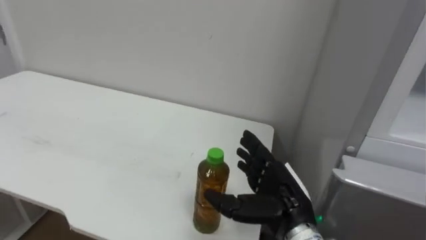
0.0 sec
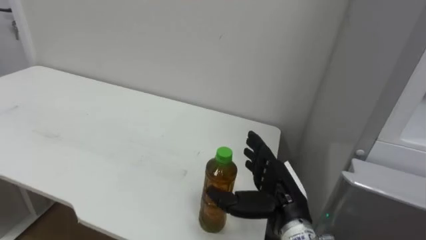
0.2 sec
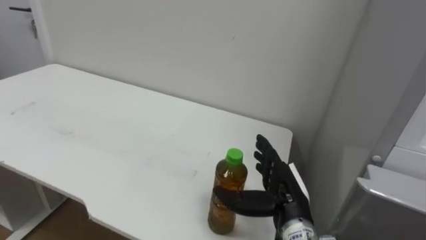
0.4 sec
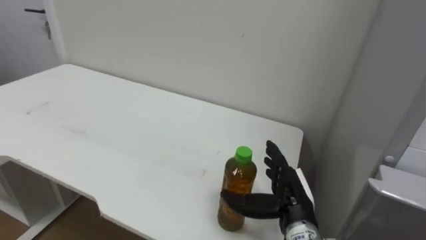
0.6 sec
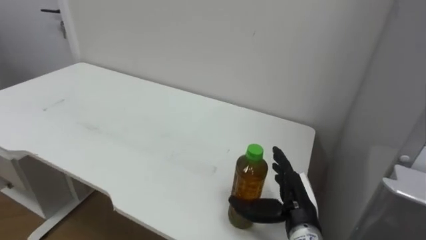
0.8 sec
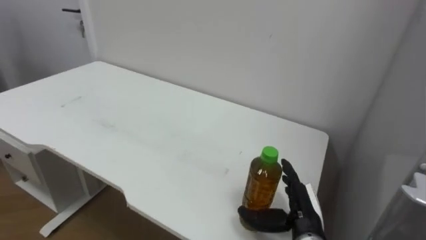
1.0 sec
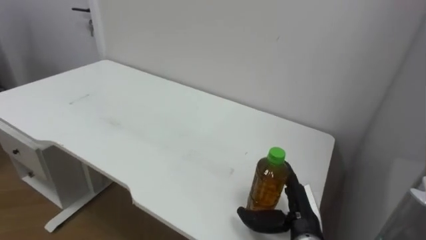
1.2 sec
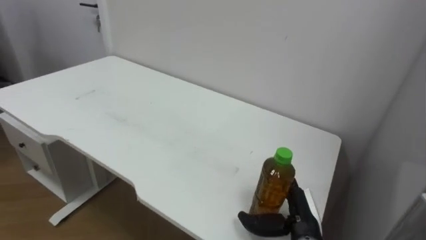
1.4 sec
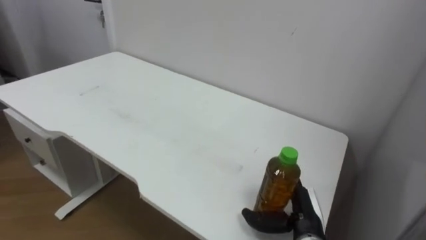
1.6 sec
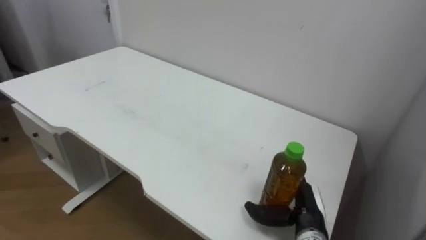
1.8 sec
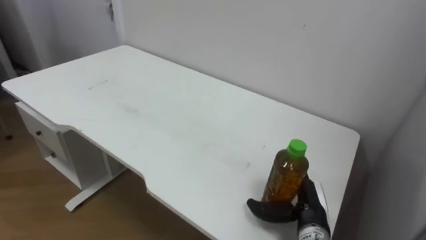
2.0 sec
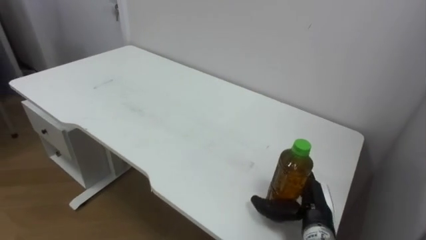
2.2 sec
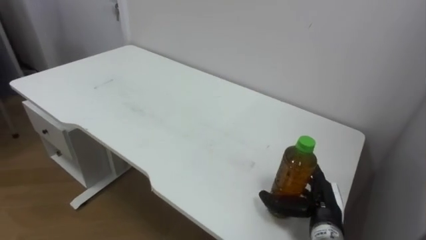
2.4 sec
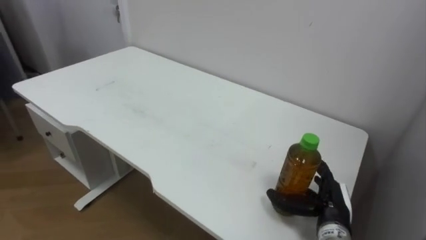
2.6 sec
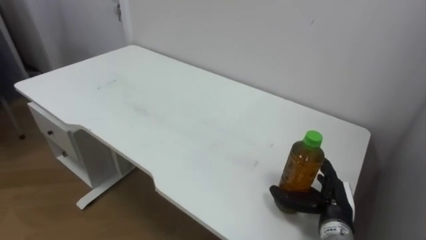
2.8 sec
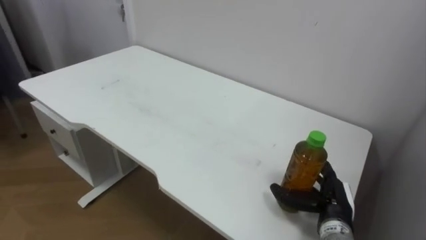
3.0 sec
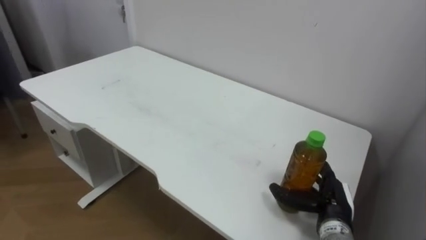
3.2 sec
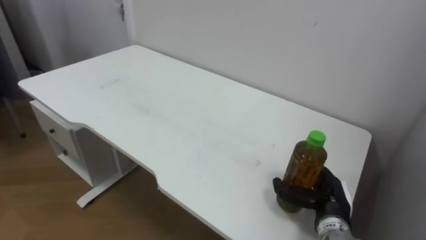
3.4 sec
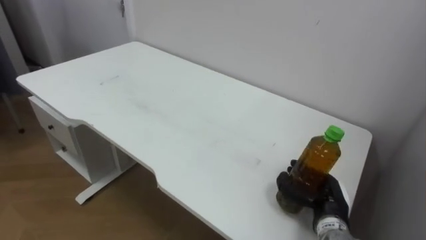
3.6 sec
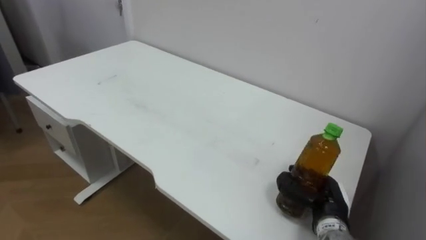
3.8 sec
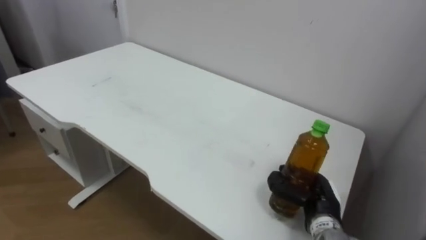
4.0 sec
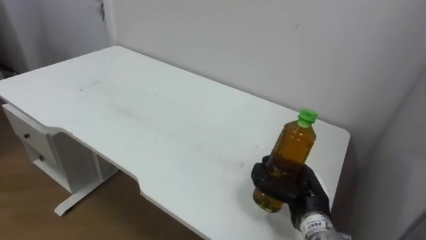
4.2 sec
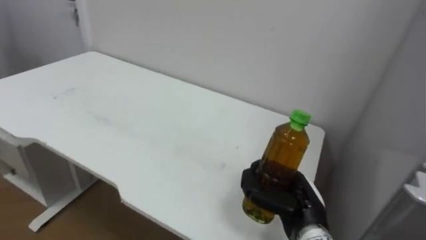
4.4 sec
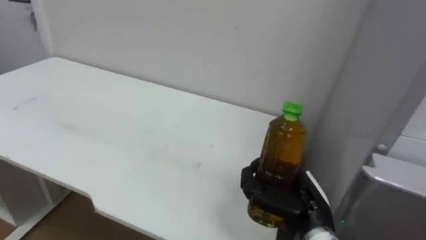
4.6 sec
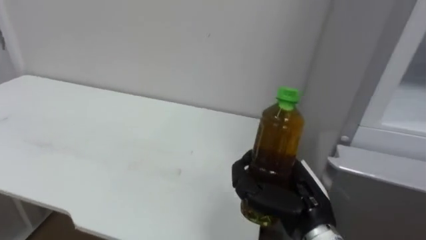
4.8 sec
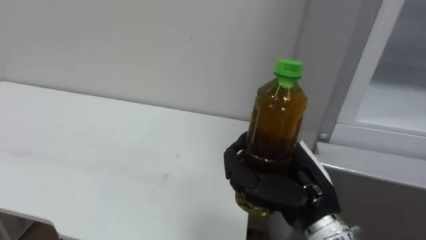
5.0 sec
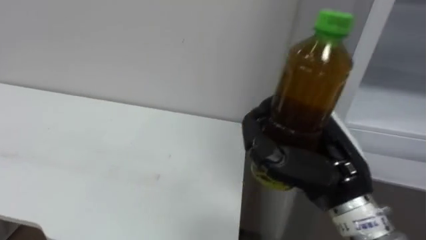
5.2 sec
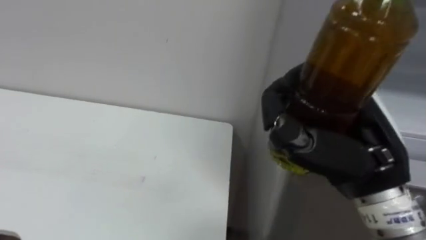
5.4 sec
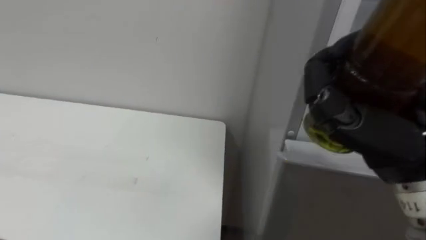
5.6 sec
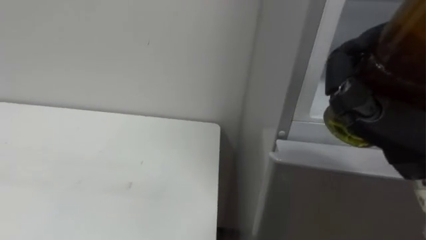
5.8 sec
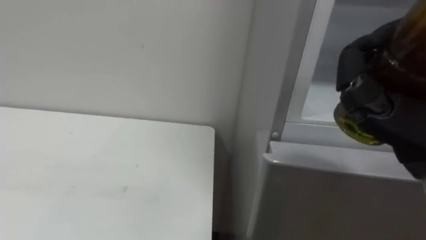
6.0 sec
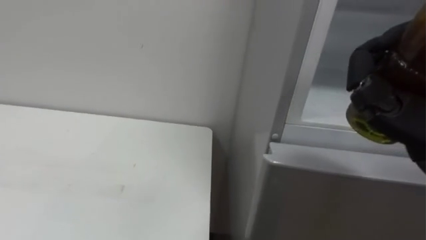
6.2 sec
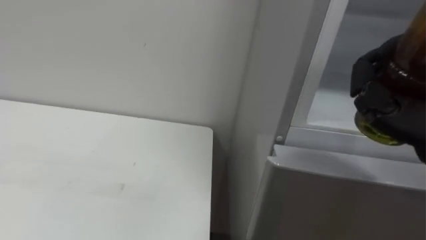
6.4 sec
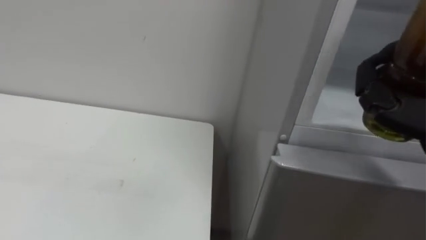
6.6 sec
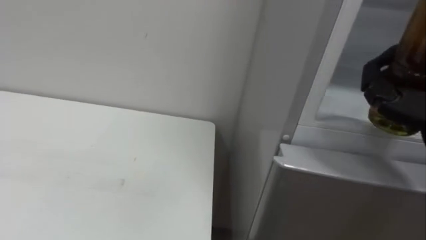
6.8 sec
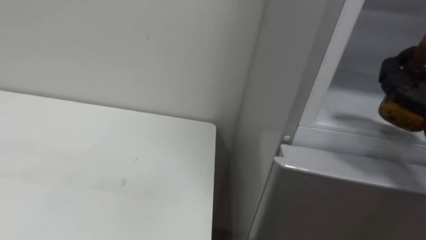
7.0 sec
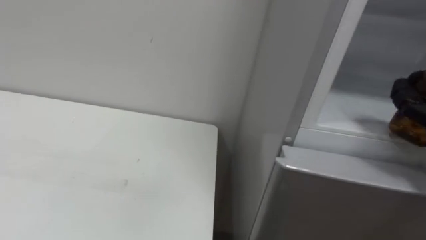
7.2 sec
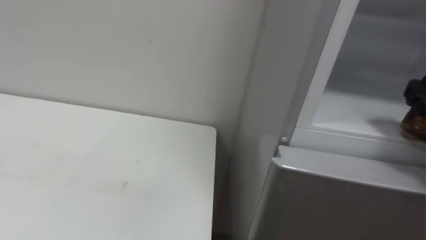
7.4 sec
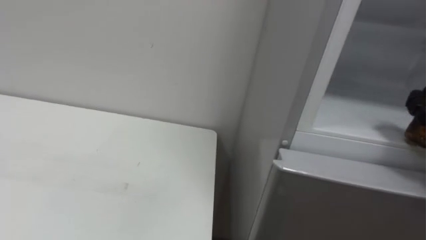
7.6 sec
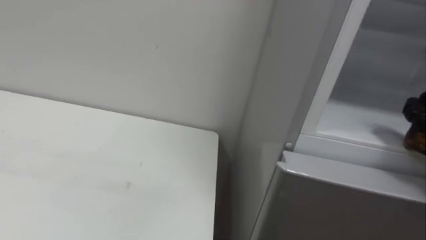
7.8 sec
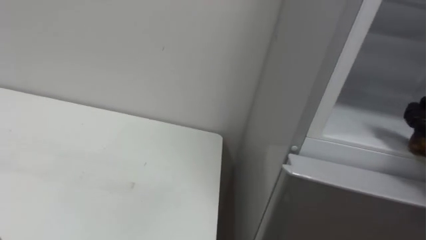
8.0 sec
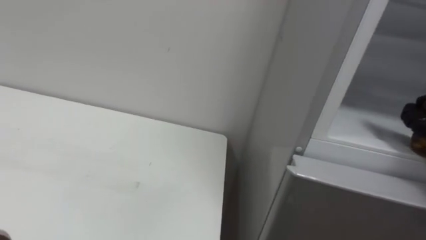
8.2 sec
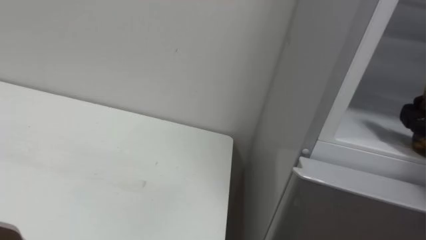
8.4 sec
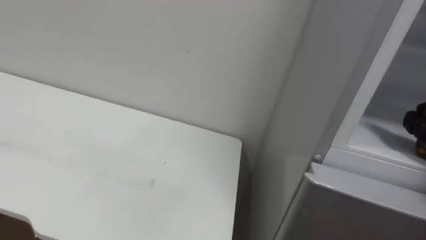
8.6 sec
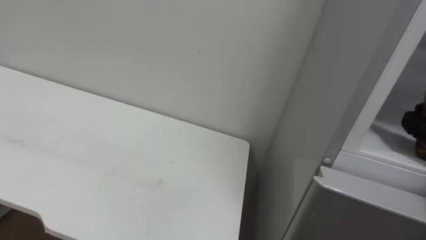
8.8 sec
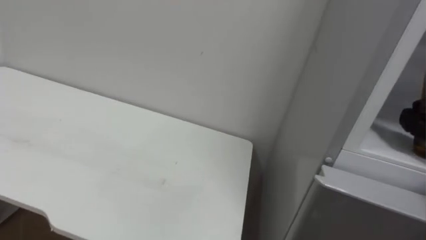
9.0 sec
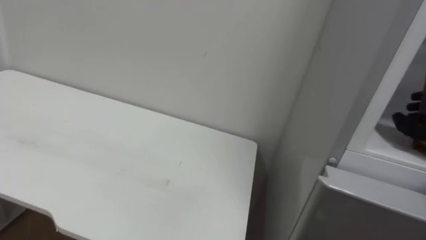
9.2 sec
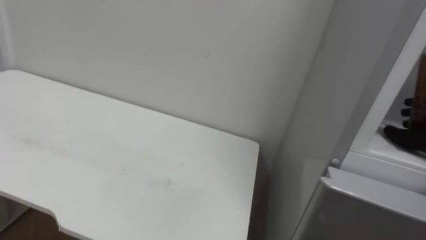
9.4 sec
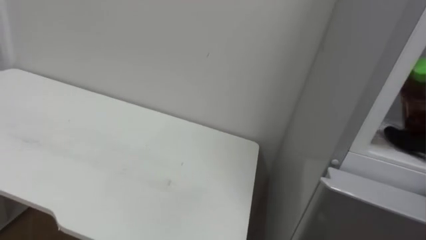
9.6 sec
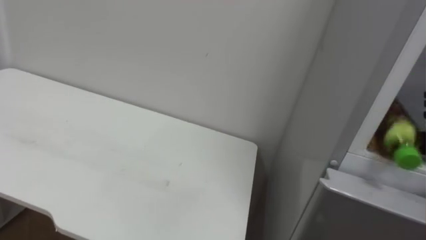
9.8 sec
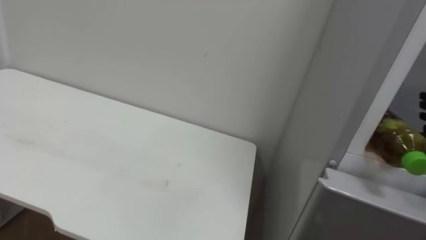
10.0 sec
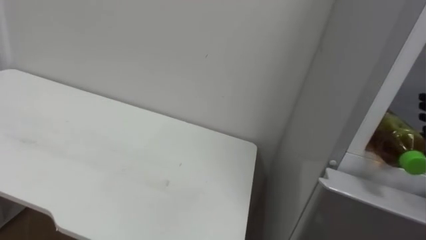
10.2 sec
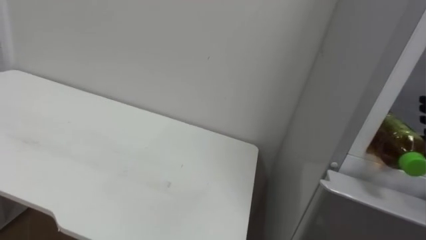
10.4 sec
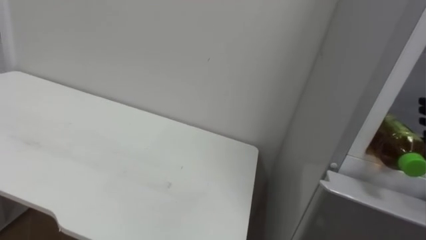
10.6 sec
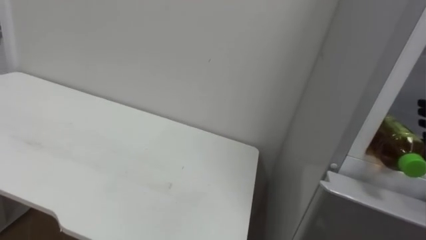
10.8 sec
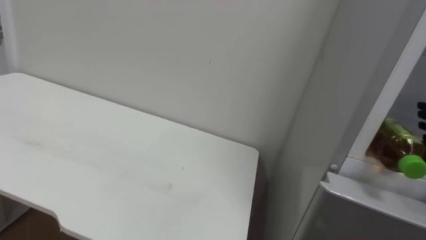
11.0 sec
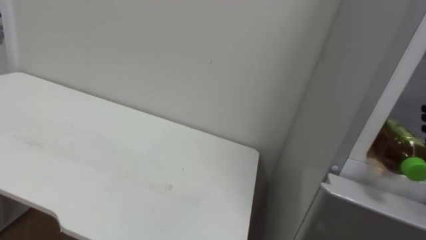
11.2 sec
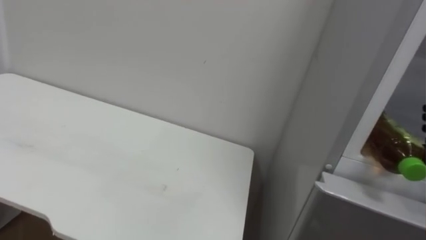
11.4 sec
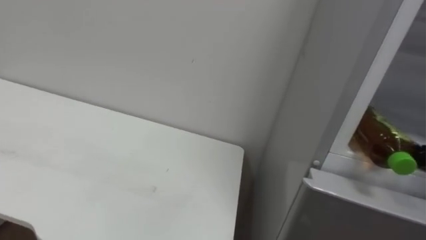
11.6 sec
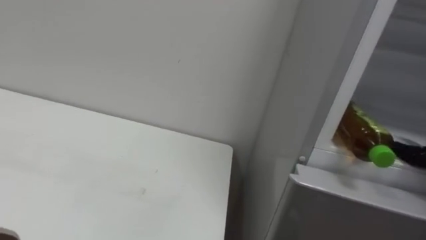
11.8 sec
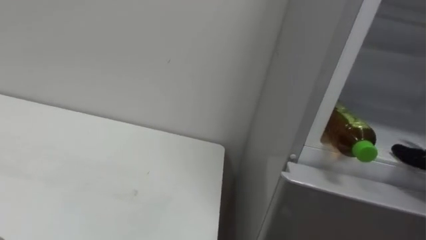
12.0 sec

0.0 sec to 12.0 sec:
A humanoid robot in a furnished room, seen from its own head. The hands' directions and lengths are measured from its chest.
Task of the whole recording: Open the upper refrigerator door, put the drink from the table into the refrigerator, and then close the refrigerator door.
0.0 sec to 1.6 sec: The right hand travels downward by approximately 10 cm.
1.6 sec to 3.0 sec: The right hand heads to the right, covering some 5 cm.
3.0 sec to 4.4 sec: The right hand heads to the left, covering approximately 5 cm, and closes its fingers.
4.4 sec to 6.0 sec: The right hand shifts approximately 25 cm upward and backward.

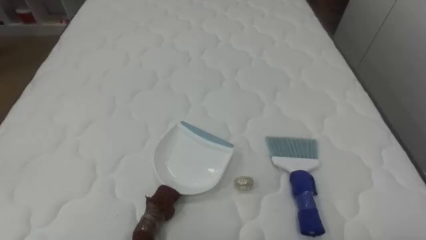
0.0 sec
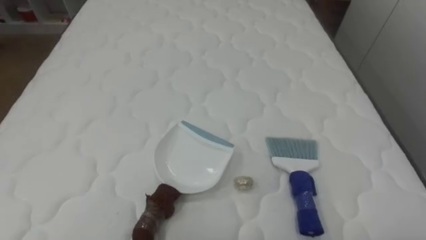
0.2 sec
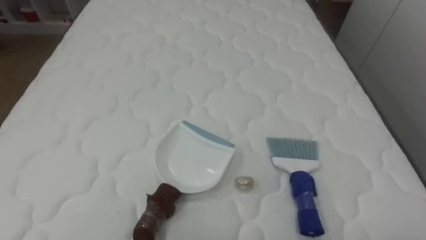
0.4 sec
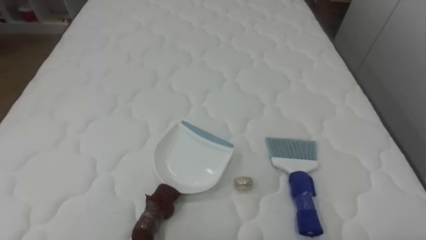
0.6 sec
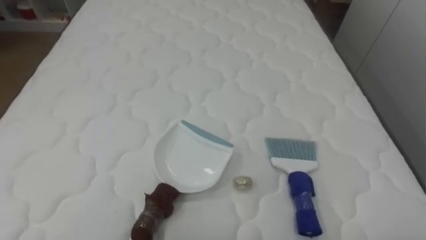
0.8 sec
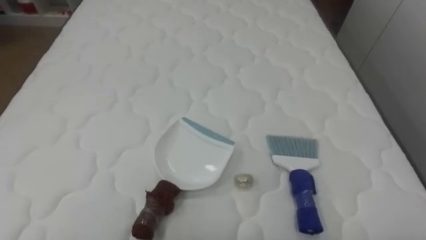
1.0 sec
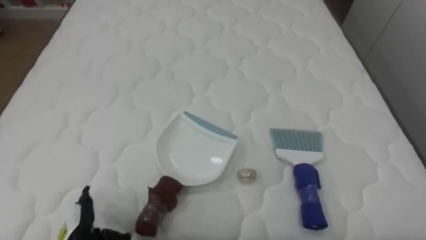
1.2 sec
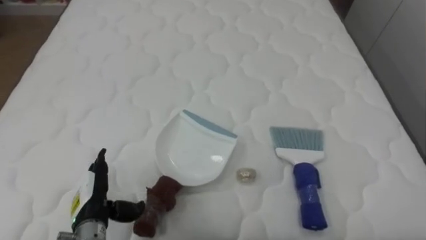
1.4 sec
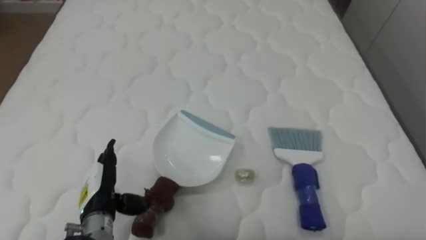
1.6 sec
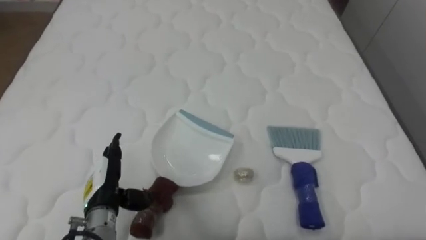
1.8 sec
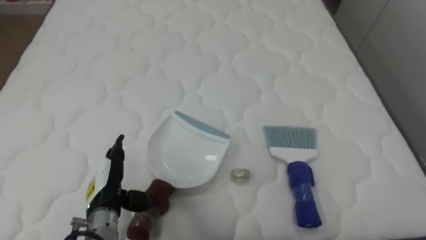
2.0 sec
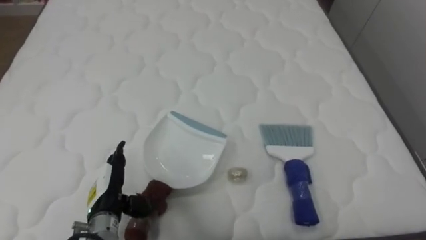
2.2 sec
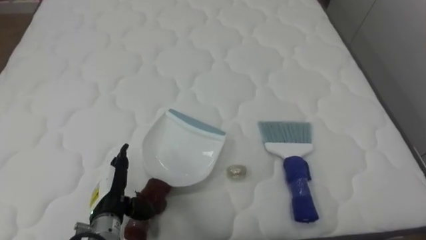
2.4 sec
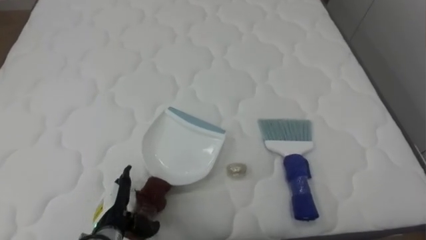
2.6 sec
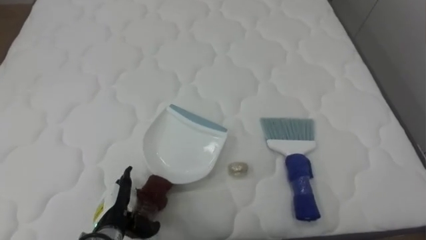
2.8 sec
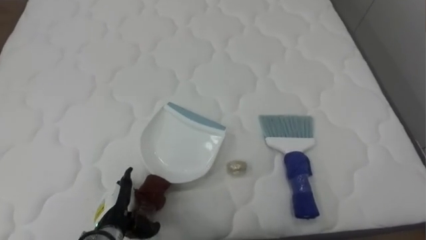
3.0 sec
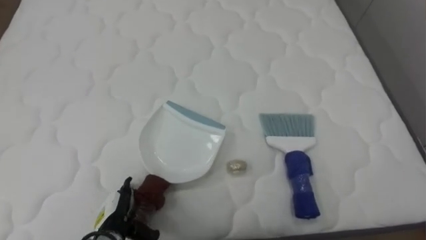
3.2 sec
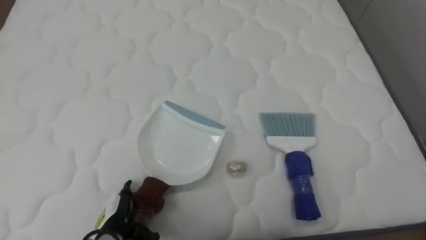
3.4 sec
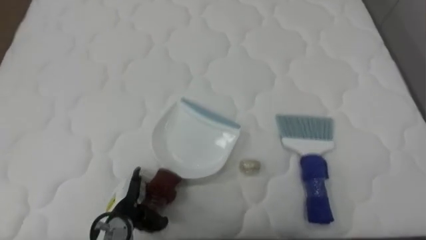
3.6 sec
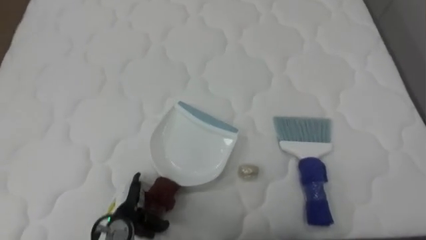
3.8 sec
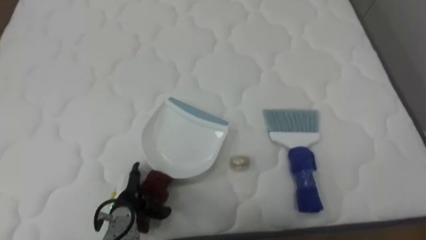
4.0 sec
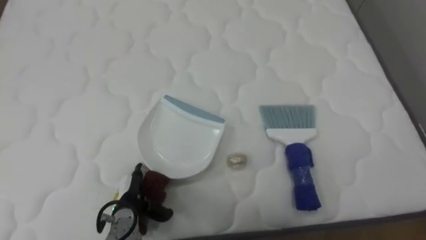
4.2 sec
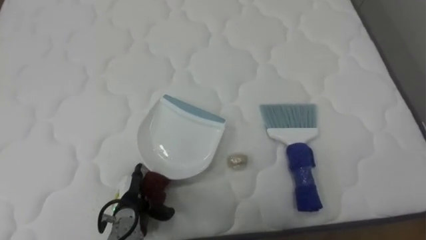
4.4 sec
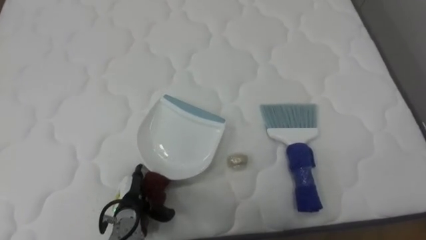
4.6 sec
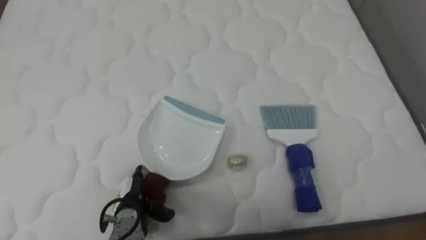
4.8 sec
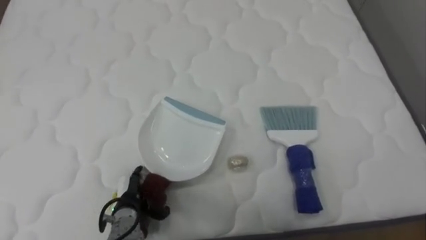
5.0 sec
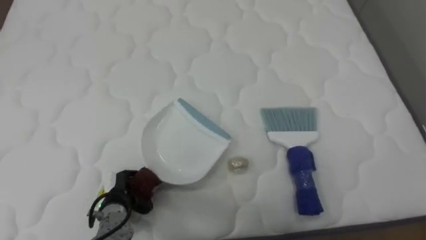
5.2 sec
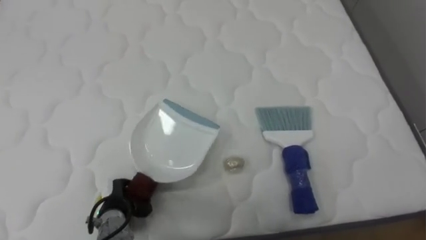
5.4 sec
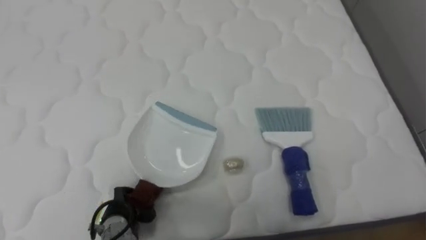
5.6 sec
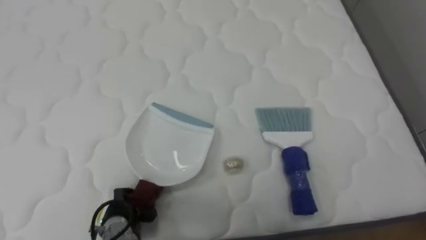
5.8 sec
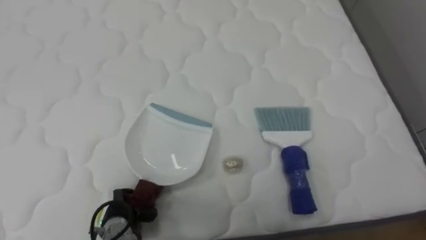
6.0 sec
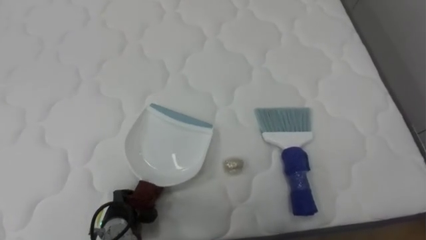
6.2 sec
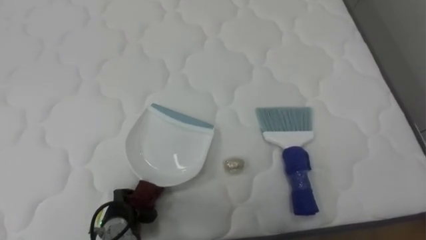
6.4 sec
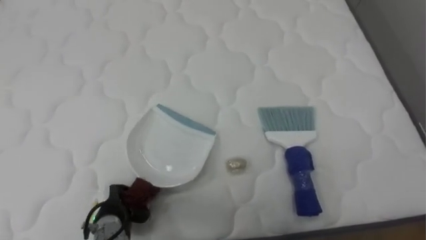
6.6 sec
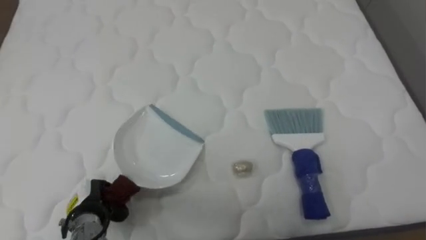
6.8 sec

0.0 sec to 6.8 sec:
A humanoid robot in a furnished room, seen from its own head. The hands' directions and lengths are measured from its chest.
Task of the whole recording: Pick up the brush on your right and the dustpan on your left. Use the brush to sweep the crumpled paper on the bed into the dustpan, then turn left and empty it into the basket.
1.4 sec to 2.8 sec: The left hand moves some 5 cm.
4.0 sec to 5.4 sec: The left hand closes up.
5.4 sec to 6.8 sec: The left hand moves to the left, about 5 cm.
